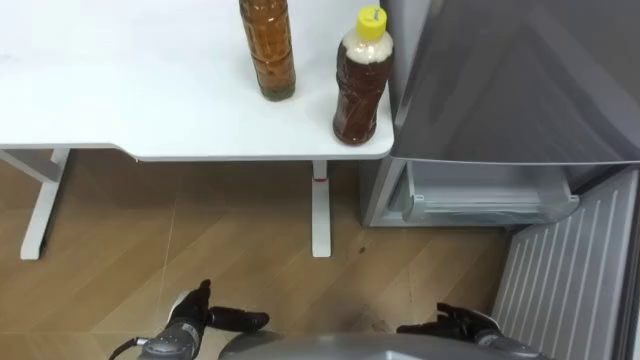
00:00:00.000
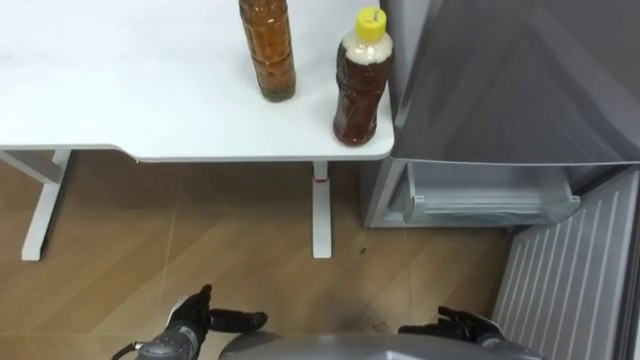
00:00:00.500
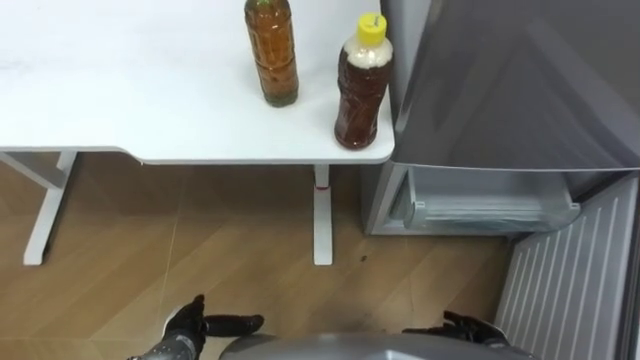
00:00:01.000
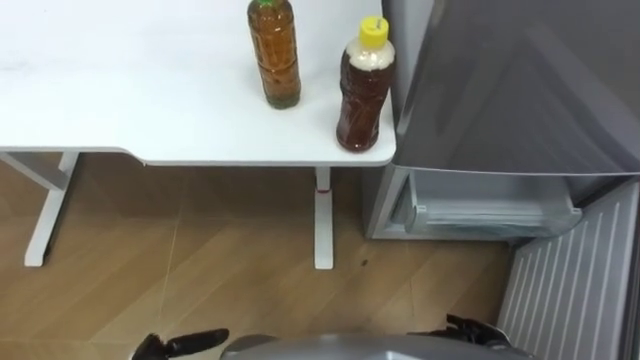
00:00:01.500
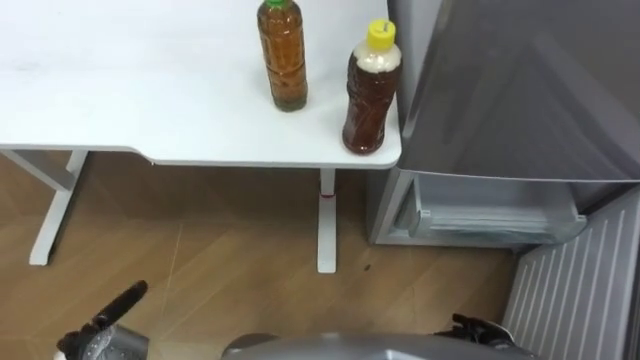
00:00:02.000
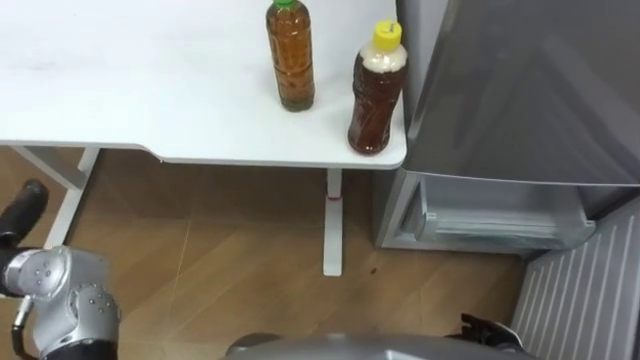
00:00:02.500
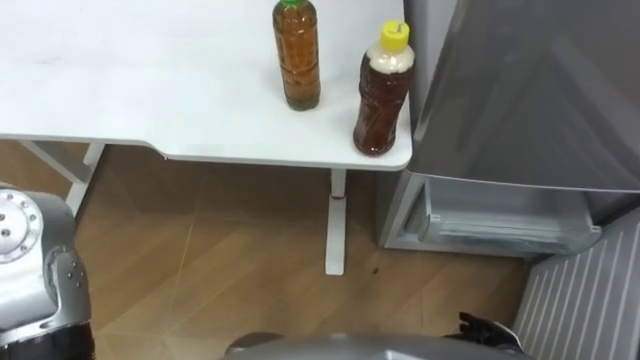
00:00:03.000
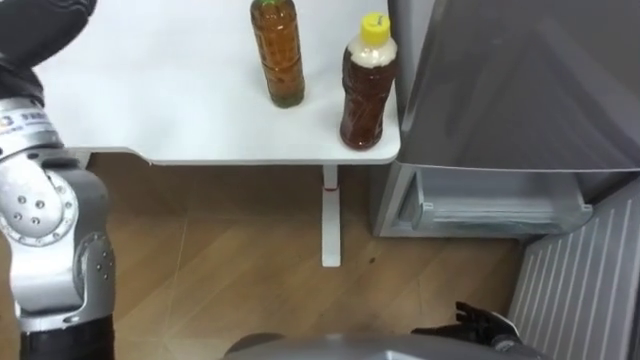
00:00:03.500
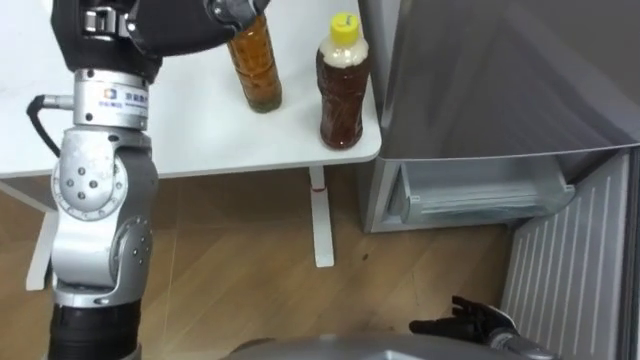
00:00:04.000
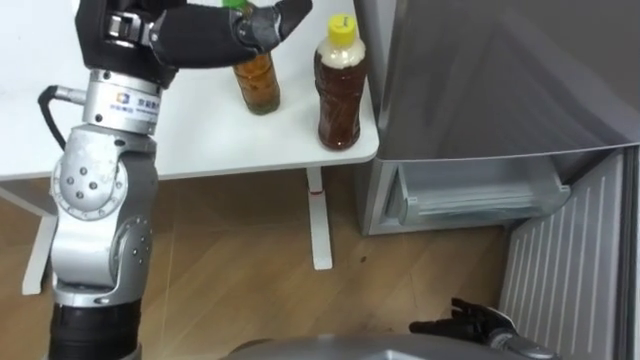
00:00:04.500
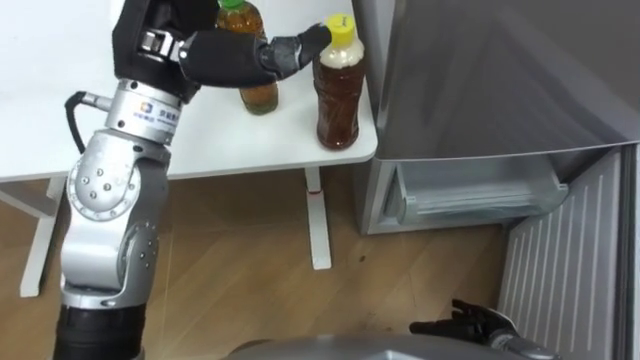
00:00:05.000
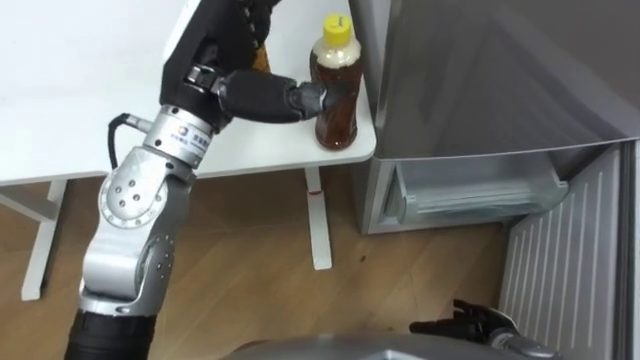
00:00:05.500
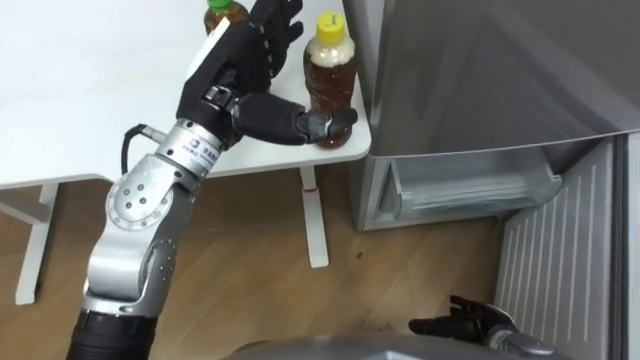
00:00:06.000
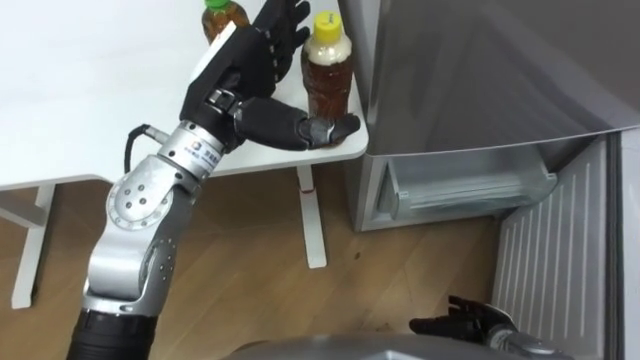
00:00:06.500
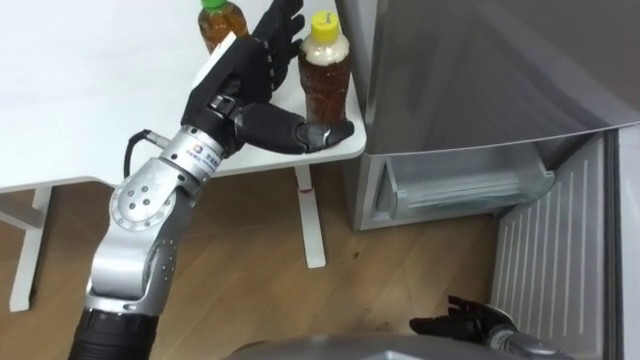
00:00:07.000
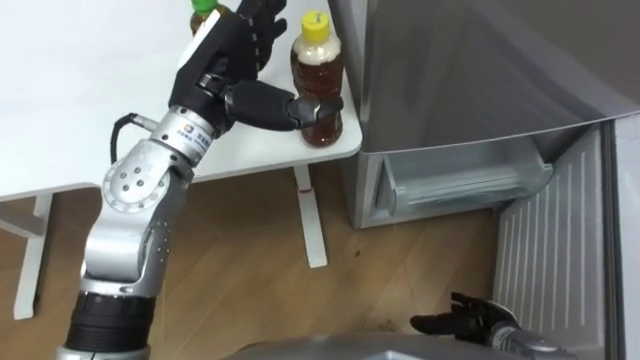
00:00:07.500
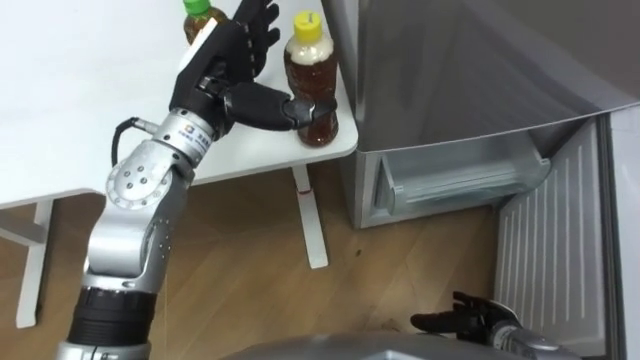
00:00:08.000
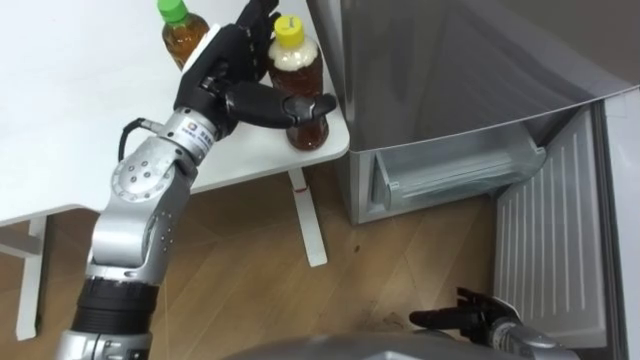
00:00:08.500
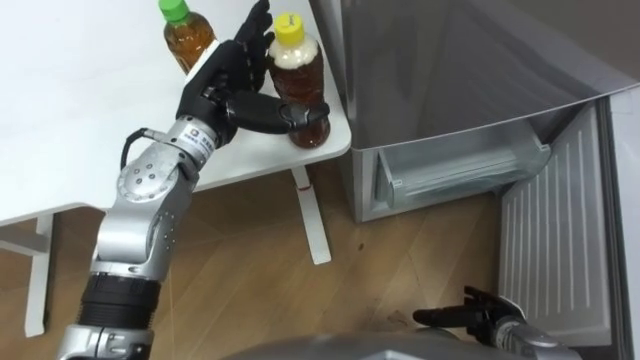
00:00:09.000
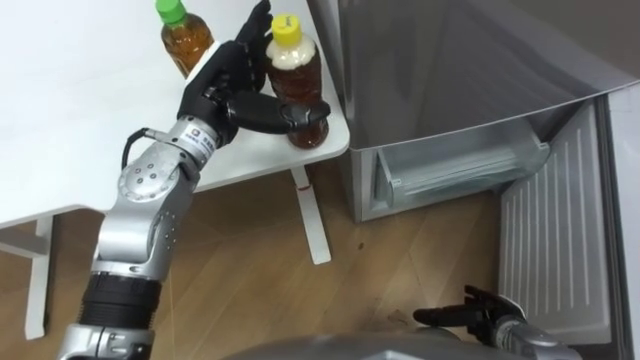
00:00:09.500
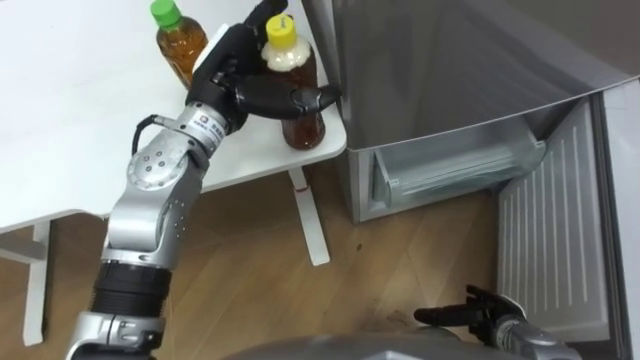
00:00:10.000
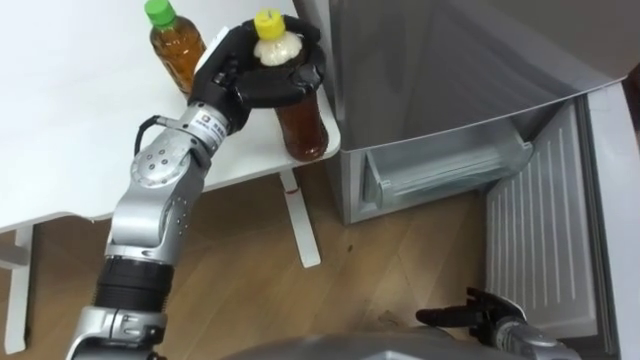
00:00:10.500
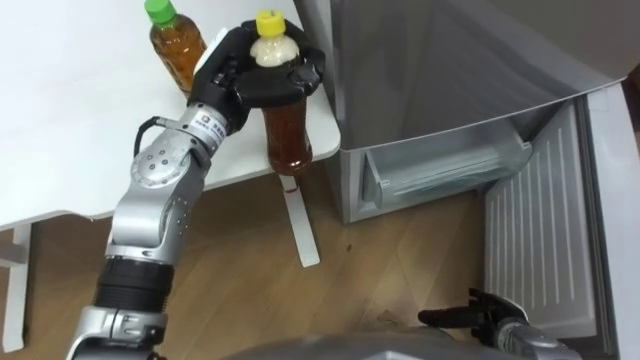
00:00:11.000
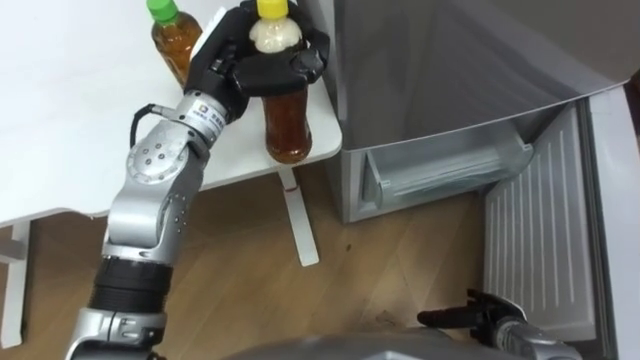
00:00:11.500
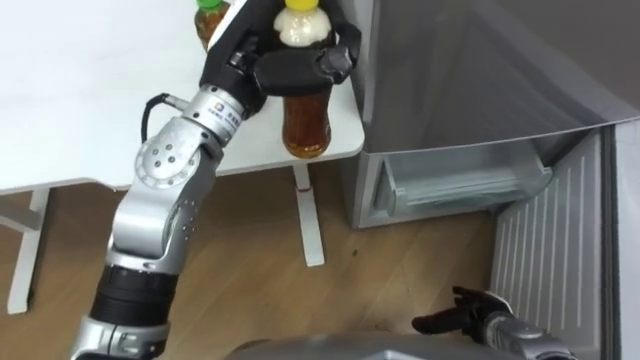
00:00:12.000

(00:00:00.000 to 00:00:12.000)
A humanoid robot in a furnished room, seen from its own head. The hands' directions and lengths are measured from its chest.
Task of the whole recording: Place the drink on the table on the bottom shelf of the refrigerator, then close the drawer and the refrigerator door.
00:00:04.000 - 00:00:06.000: The left hand travels downward and to the right by roughly 10 cm.
00:00:10.000 - 00:00:12.000: The left hand ends up roughly 5 cm from where it was, and closes up.

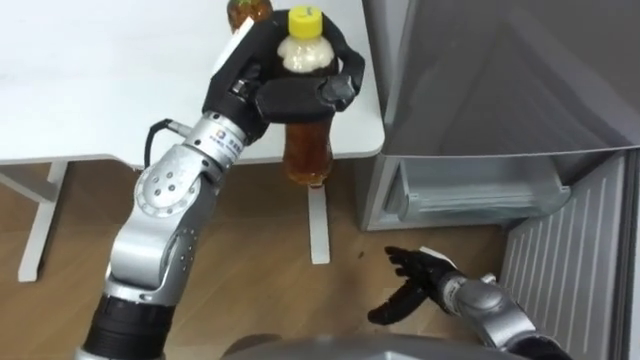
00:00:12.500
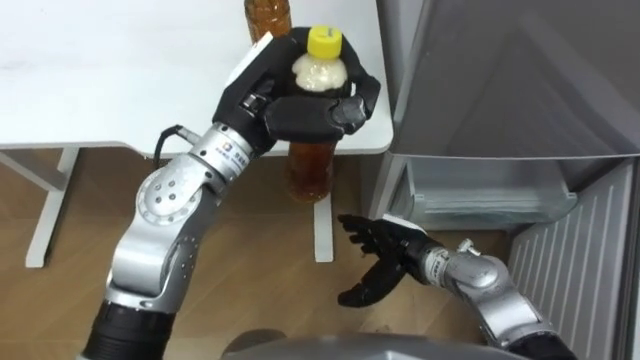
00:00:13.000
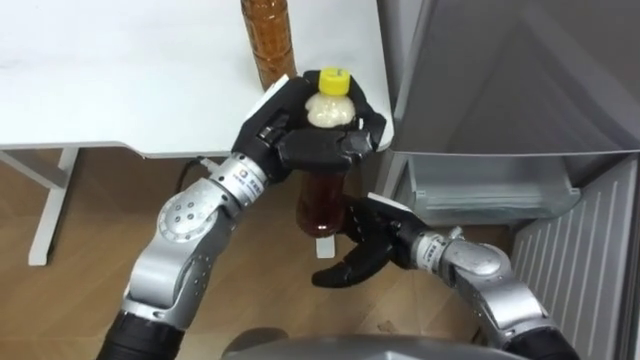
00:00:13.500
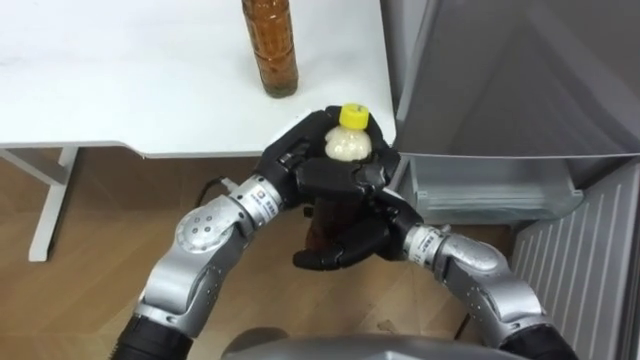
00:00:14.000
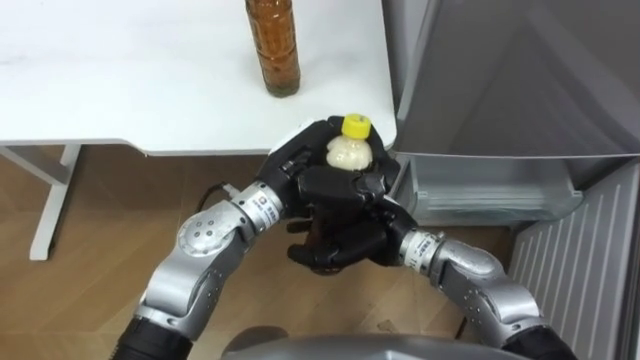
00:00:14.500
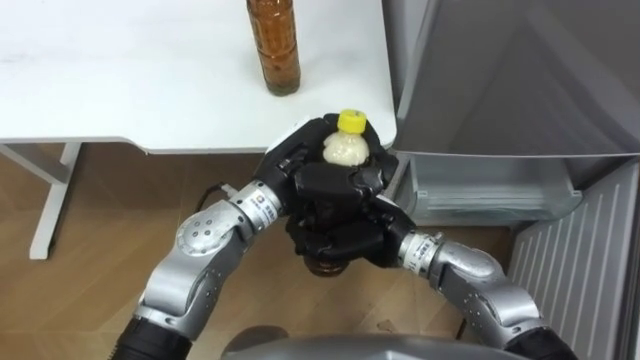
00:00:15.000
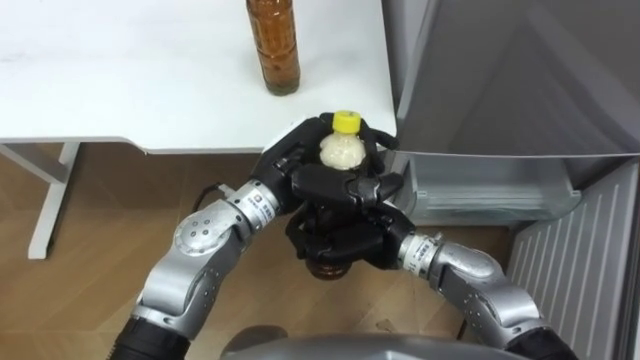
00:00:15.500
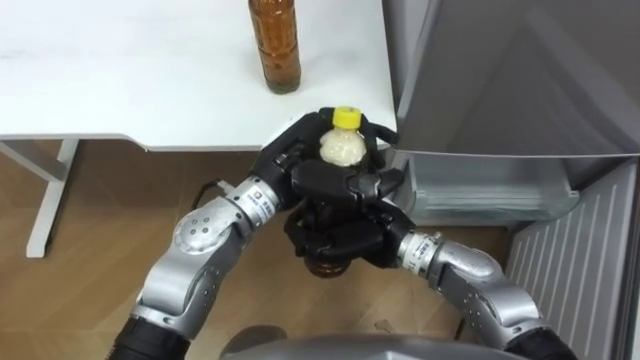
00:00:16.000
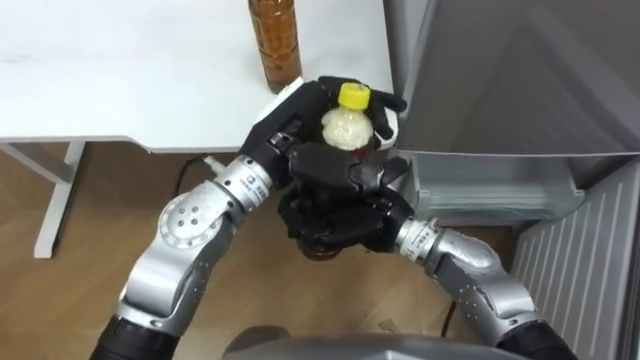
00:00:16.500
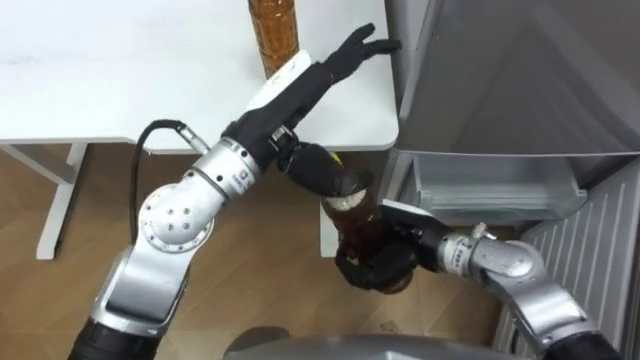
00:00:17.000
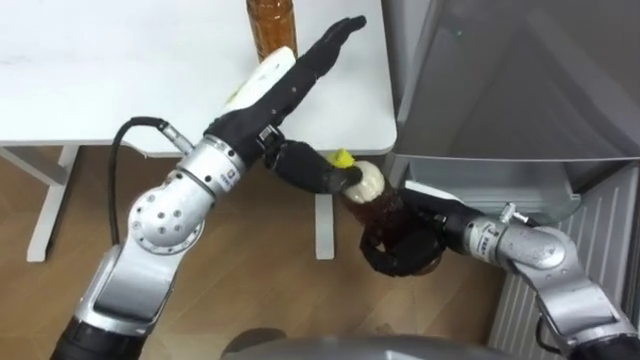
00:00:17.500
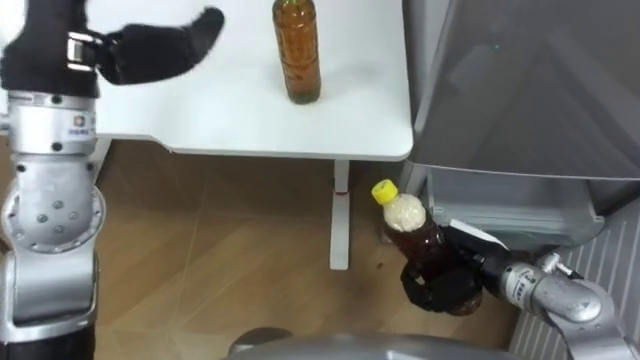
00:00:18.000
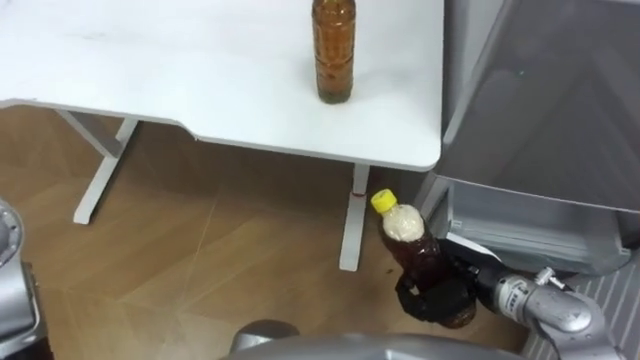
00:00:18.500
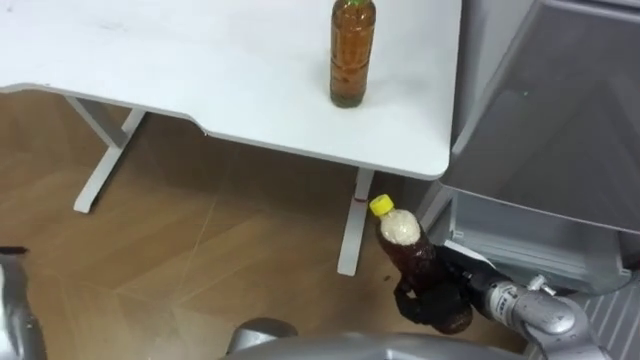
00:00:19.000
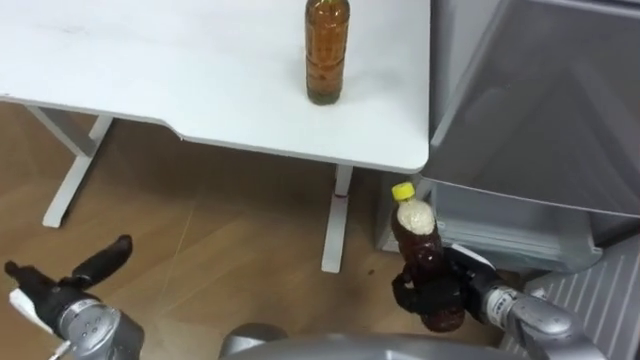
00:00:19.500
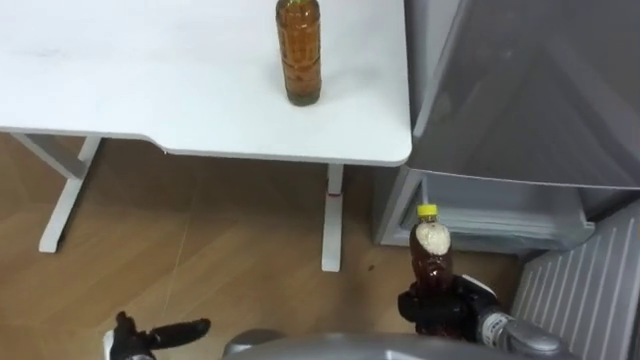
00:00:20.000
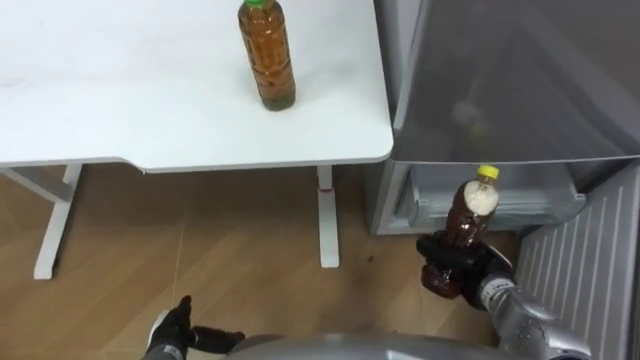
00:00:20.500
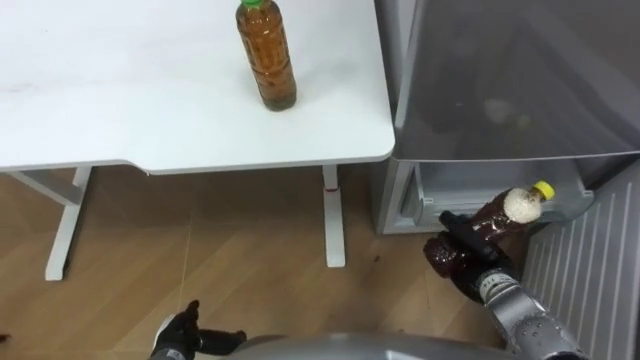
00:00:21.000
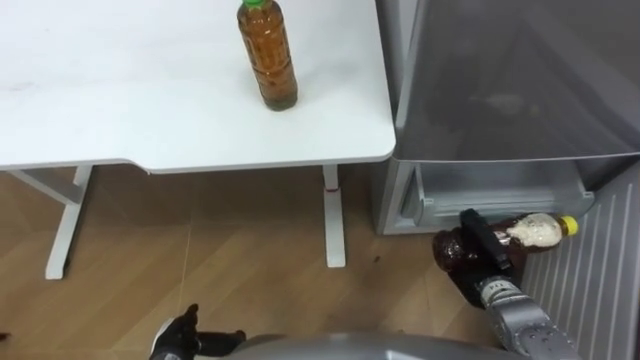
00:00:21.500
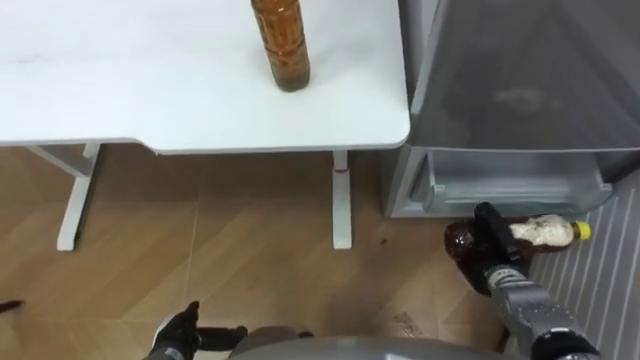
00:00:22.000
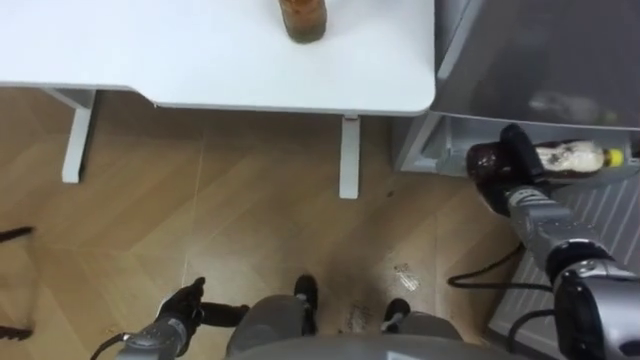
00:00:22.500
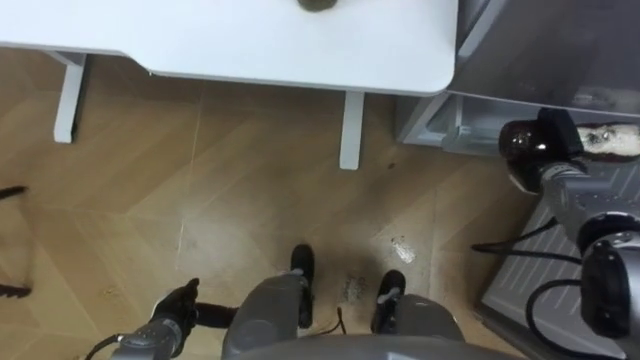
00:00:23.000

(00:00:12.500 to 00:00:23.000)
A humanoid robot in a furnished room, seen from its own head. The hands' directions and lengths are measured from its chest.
Task of the whole recording: Place the drink on the table on the bottom shelf of the refrigerator, then close the drawer and the refrigerator door.
00:00:12.500 - 00:00:14.500: The left hand moves downward and to the right, approximately 10 cm, while the right hand moves upward and to the left, approximately 15 cm.
00:00:14.500 - 00:00:16.500: The left hand moves upward, some 5 cm; the right hand closes.
00:00:16.500 - 00:00:19.000: The right hand goes some 20 cm to the right, downward and backward.
00:00:19.000 - 00:00:21.000: The right hand travels downward by some 5 cm.
00:00:21.000 - 00:00:23.000: The right hand moves forward, to the right and upward, roughly 15 cm.
